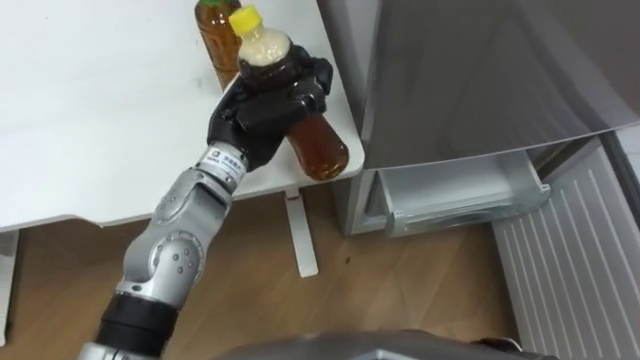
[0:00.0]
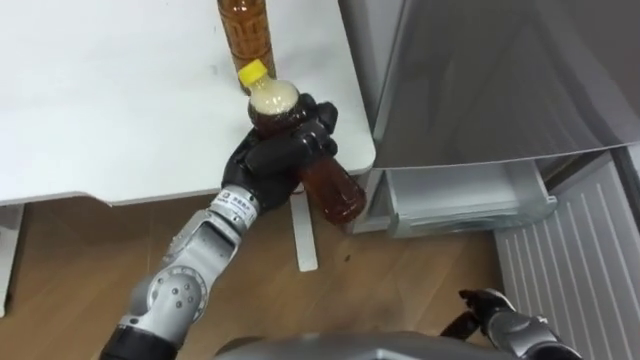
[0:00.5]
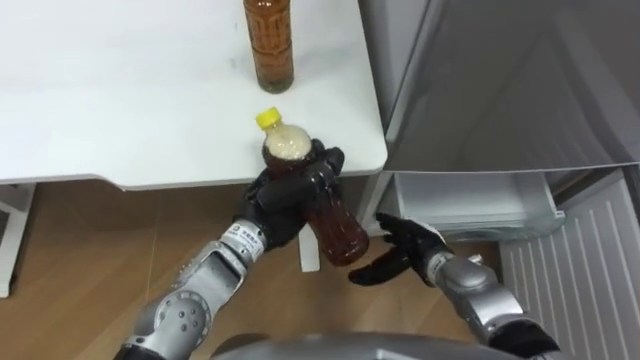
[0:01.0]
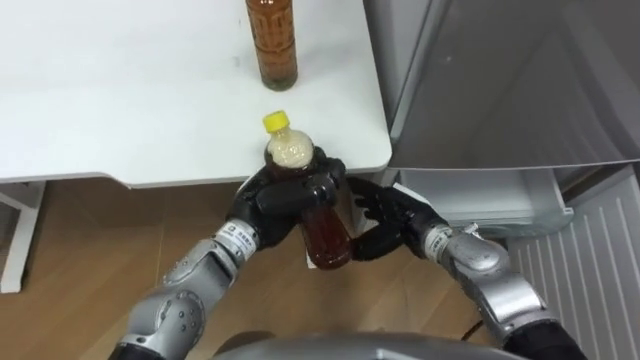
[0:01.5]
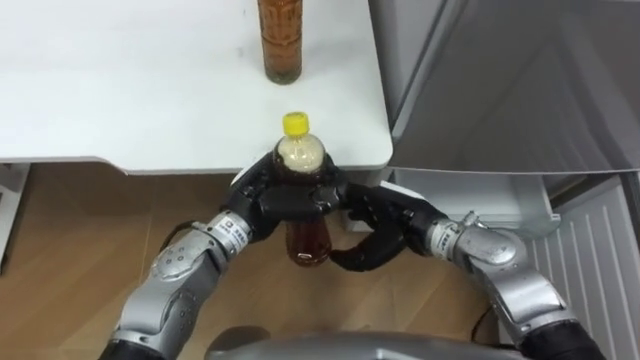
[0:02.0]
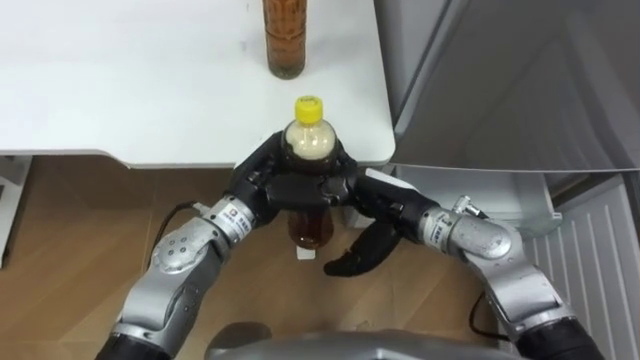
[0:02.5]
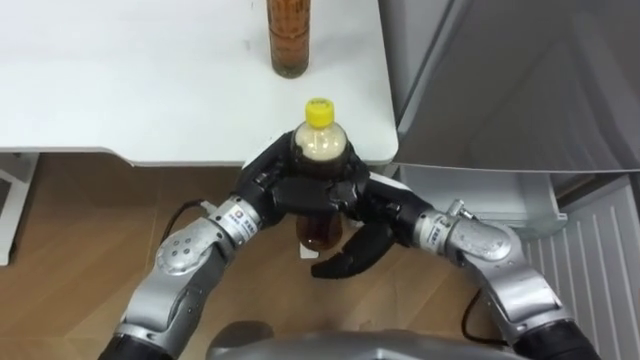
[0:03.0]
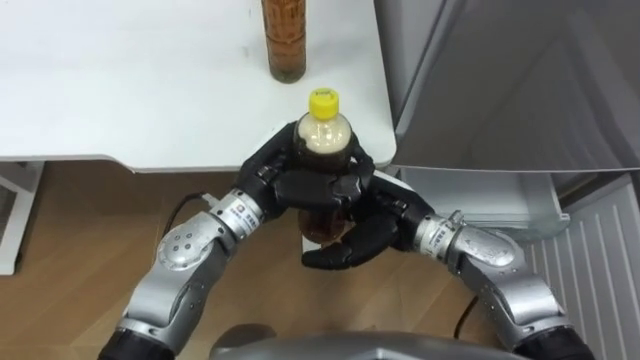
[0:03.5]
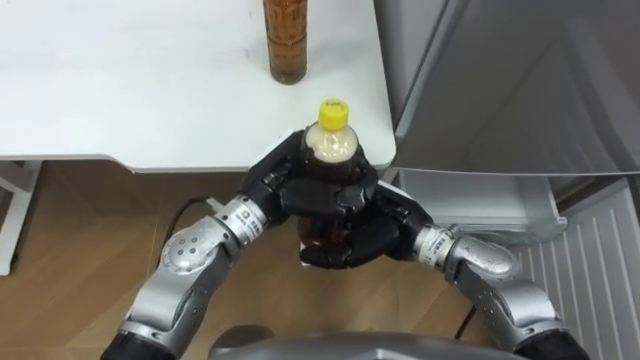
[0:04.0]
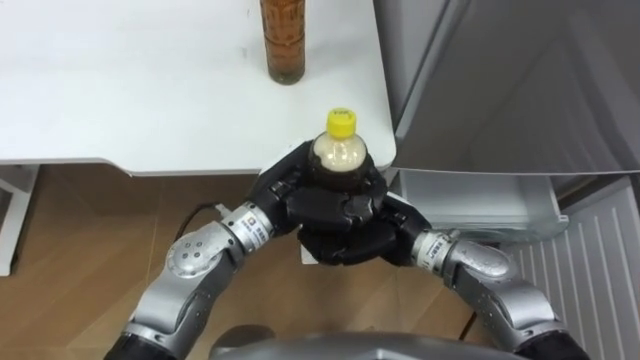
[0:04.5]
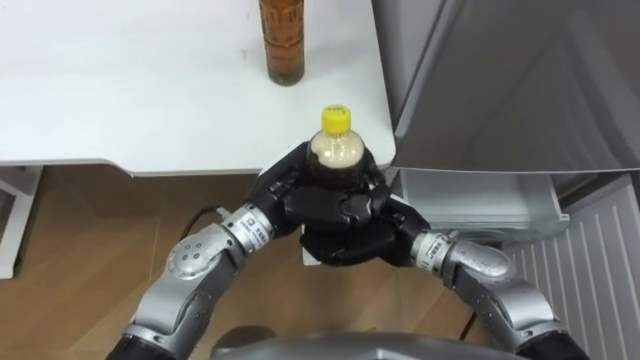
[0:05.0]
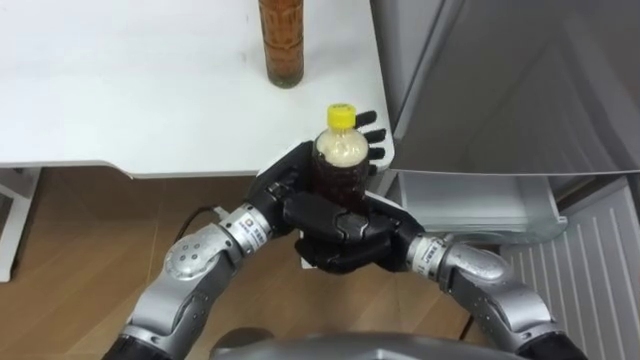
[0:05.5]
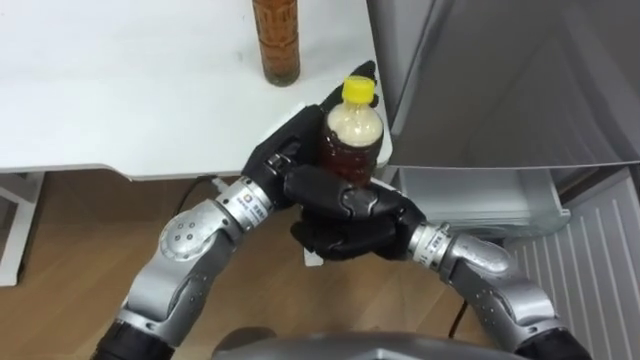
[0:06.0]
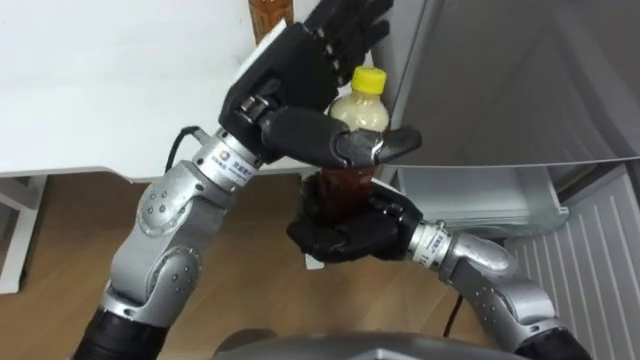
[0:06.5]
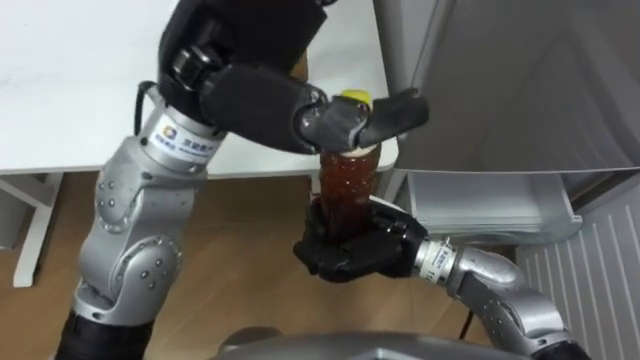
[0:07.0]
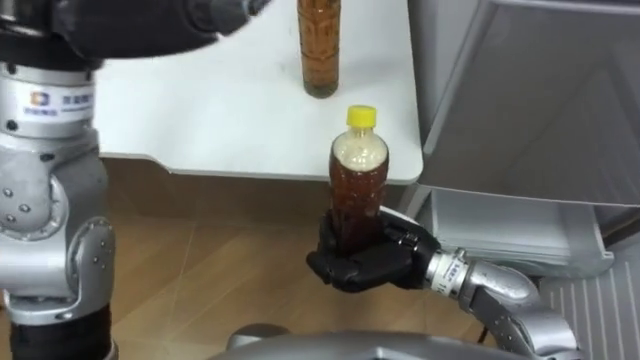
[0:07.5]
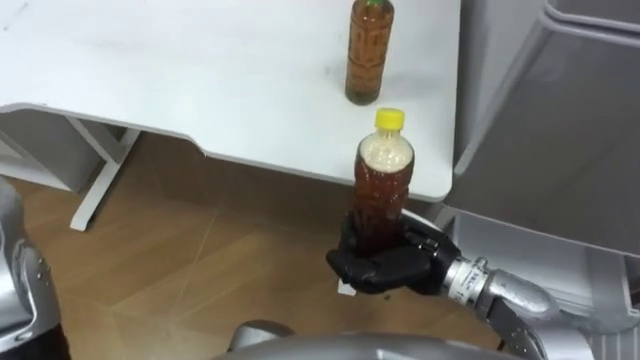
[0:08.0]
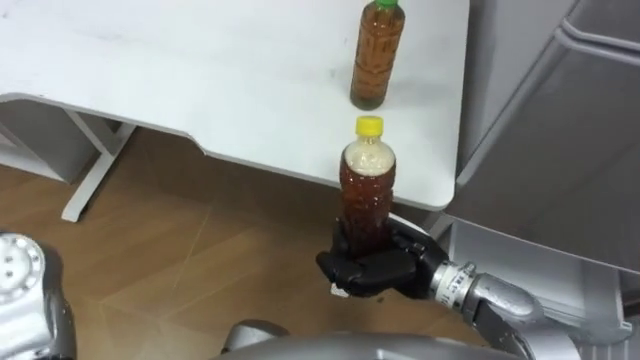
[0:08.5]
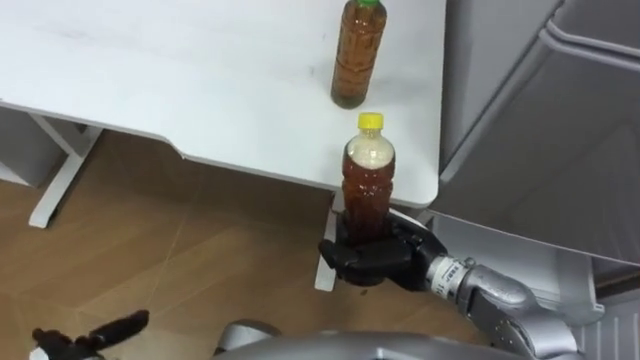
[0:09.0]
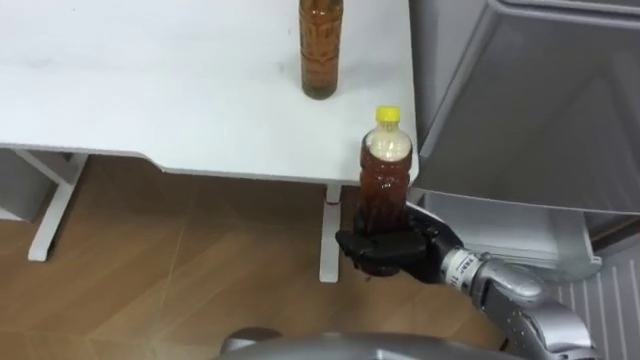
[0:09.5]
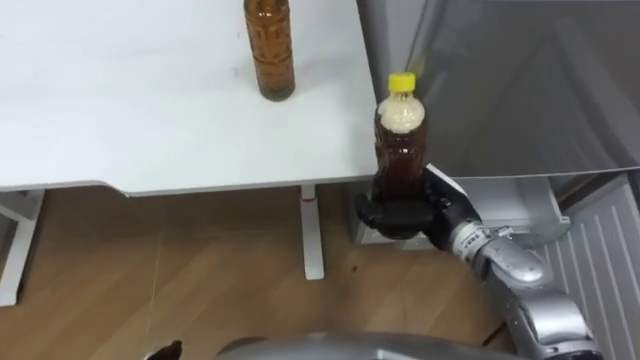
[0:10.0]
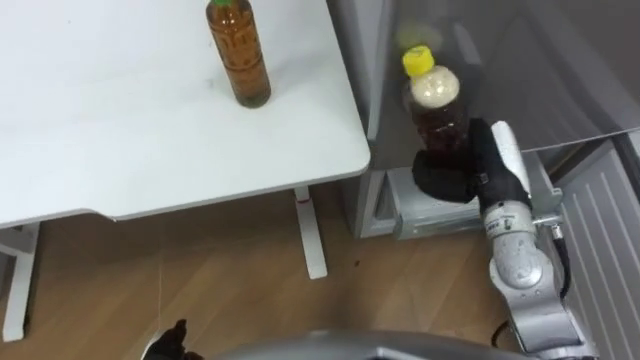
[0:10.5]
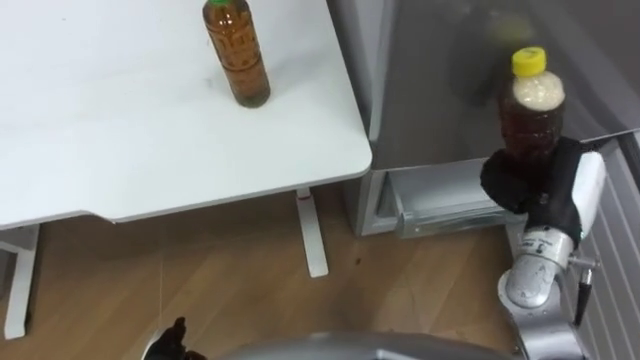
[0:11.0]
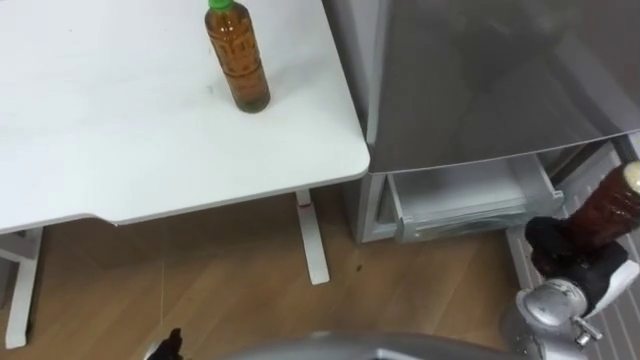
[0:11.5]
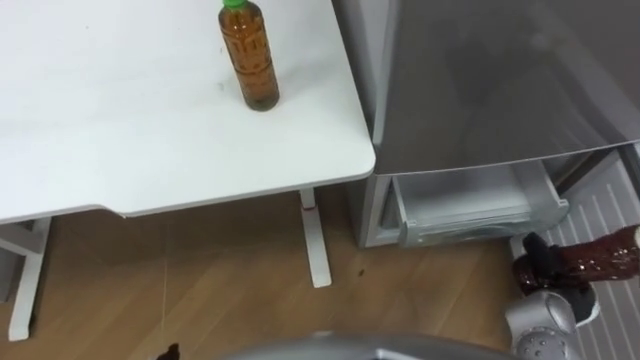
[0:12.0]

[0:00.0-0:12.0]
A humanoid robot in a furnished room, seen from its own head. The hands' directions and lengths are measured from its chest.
Task of the whole recording: Place the drink on the table on the bottom shelf of the refrigerator, then close the drawer and the refrigerator door.
0:00.0 to 0:02.0: The left hand goes some 10 cm downward and backward.
0:04.0 to 0:06.0: The right hand closes up, while the left hand opens up.
0:06.0 to 0:08.0: The right hand changes place by some 5 cm.
0:08.0 to 0:10.0: The right hand heads forward, covering approximately 5 cm.
0:10.0 to 0:12.0: The right hand moves to the right, backward and downward, approximately 20 cm.

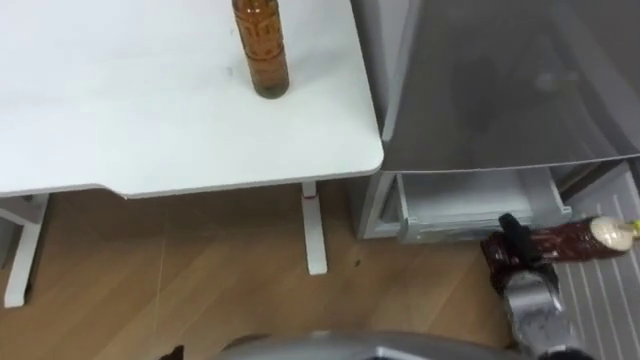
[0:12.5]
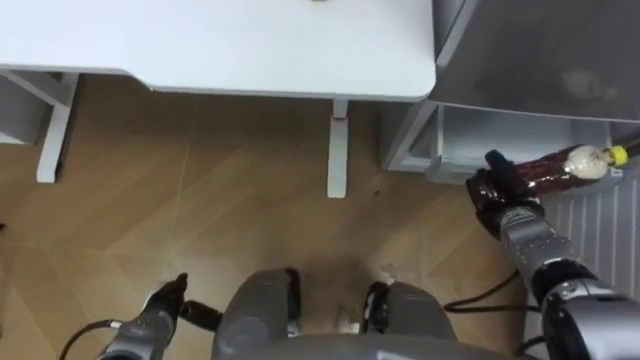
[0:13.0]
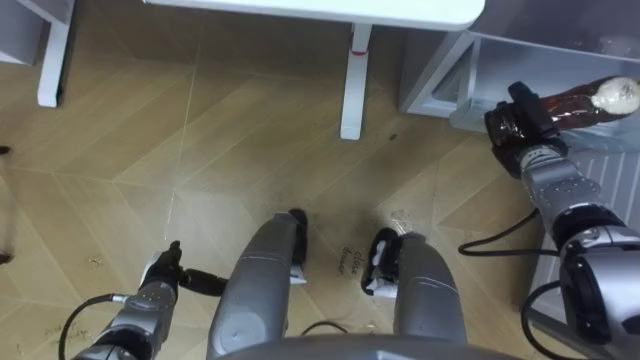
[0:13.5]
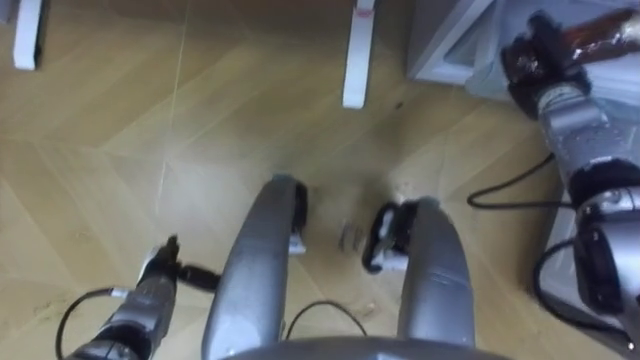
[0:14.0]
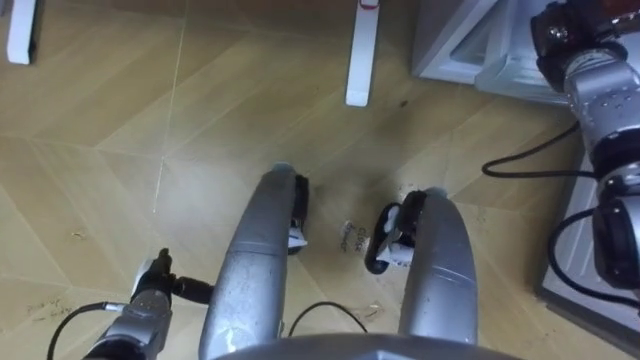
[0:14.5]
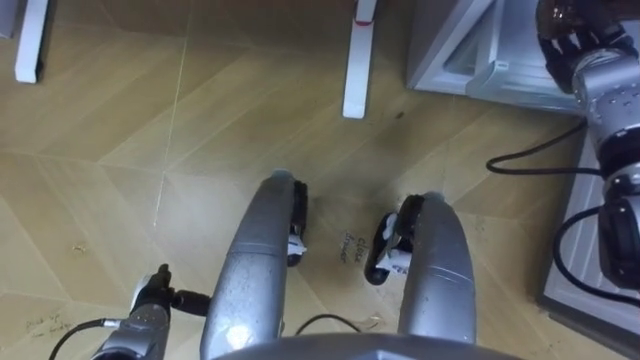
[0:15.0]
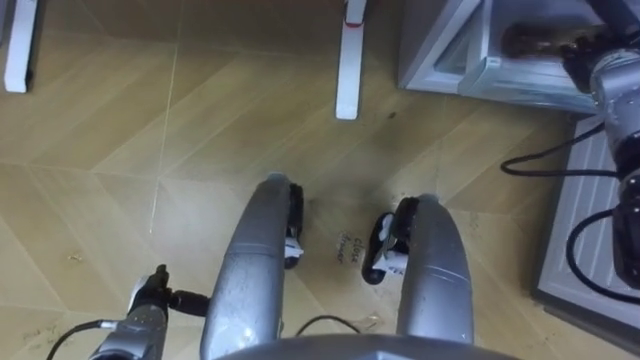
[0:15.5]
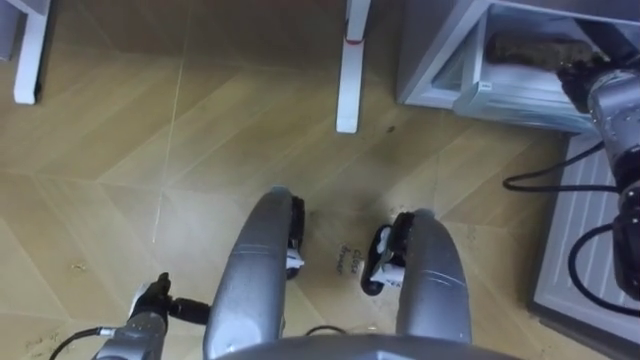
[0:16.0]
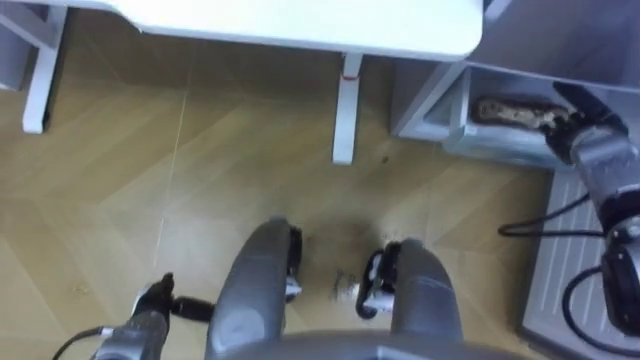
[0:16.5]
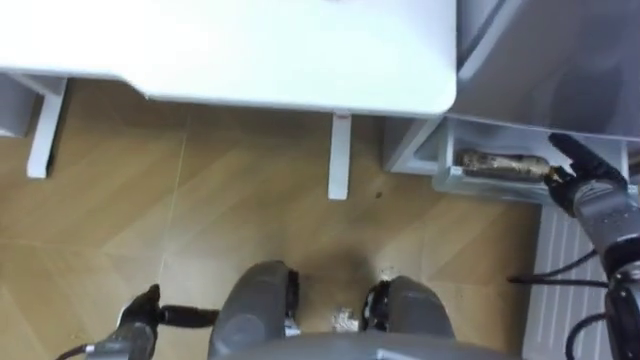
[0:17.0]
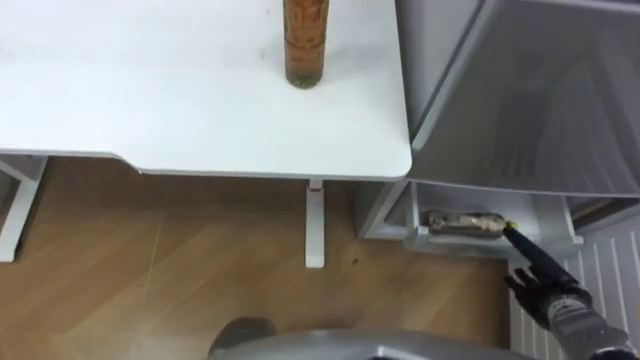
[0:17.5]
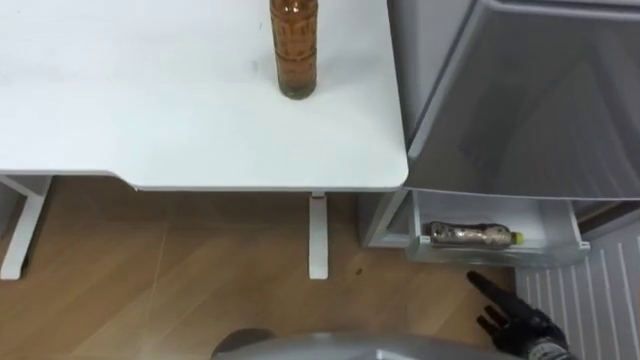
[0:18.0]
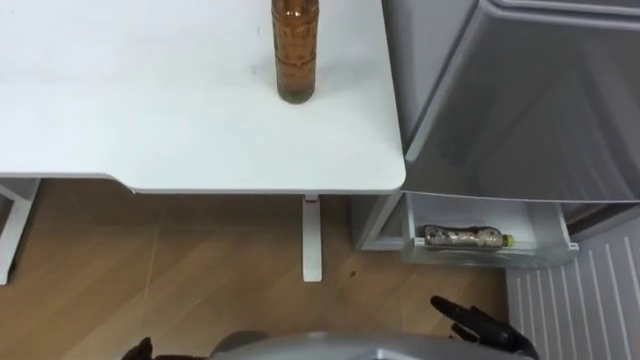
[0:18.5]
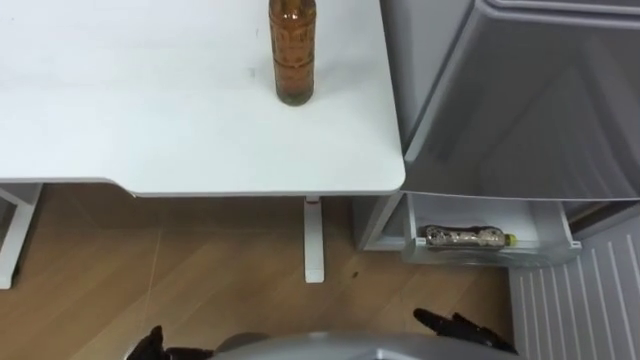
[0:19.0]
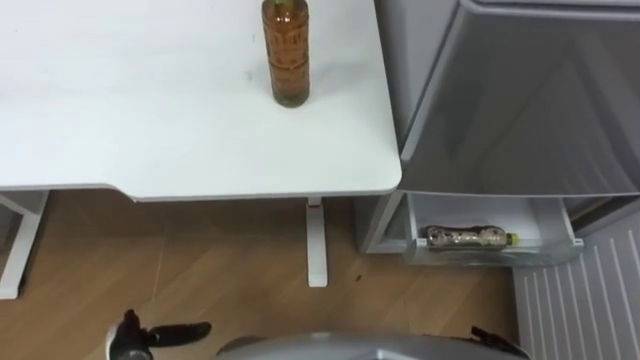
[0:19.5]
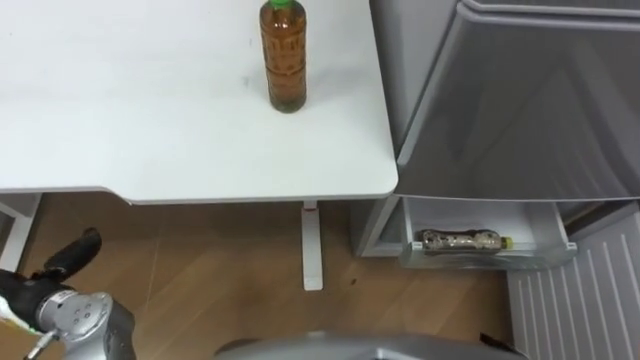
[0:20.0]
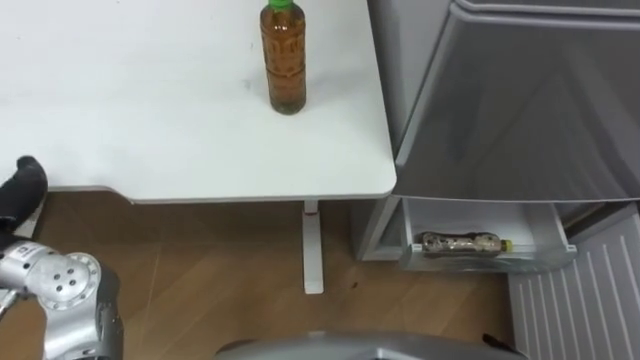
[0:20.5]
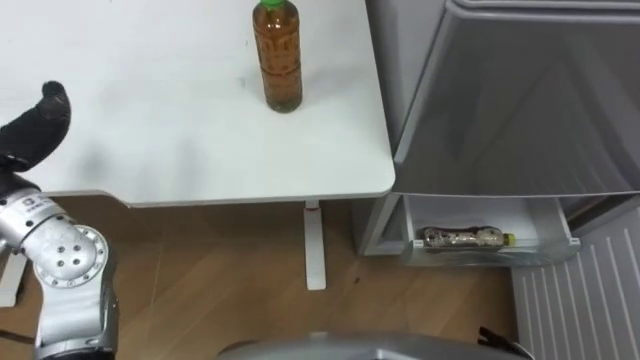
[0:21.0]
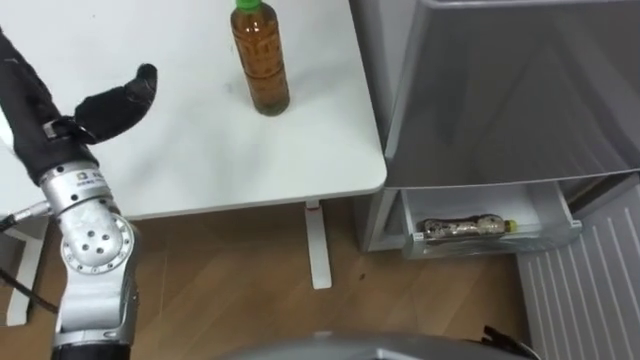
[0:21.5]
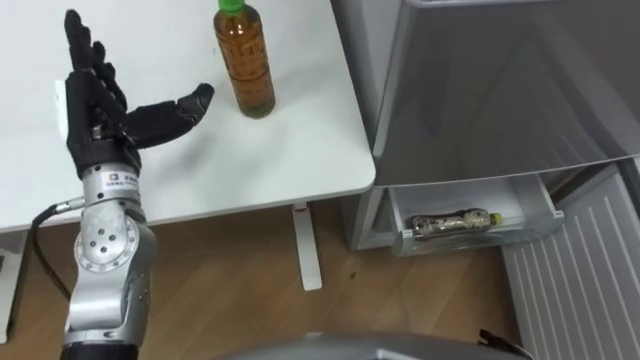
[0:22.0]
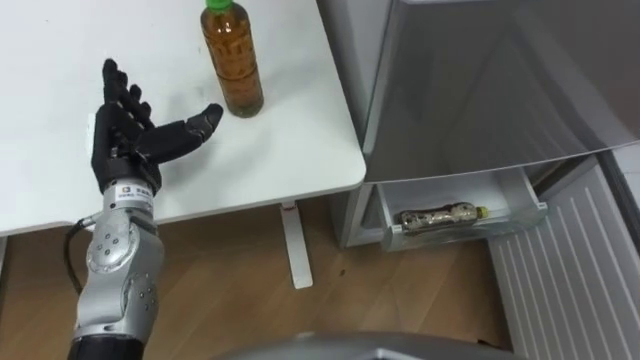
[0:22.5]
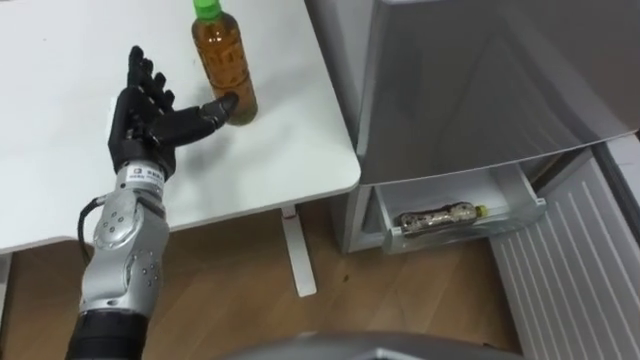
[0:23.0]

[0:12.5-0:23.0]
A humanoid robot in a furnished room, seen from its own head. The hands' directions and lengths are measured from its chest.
Task of the whole recording: Place the drink on the table on the bottom shelf of the refrigerator, then close the drawer and the refrigerator door.
0:12.5 to 0:14.5: The right hand heads forward and upward, covering about 30 cm.
0:14.5 to 0:16.5: The right hand moves downward and backward, some 10 cm, and opens.
0:16.5 to 0:19.0: The right hand shifts some 35 cm backward, downward and to the left.
